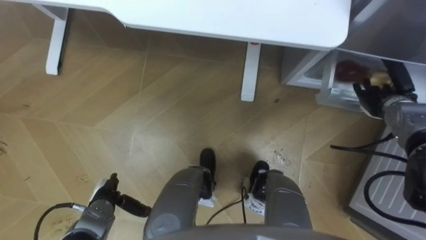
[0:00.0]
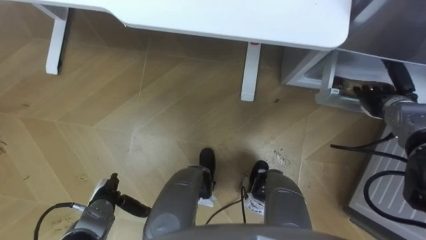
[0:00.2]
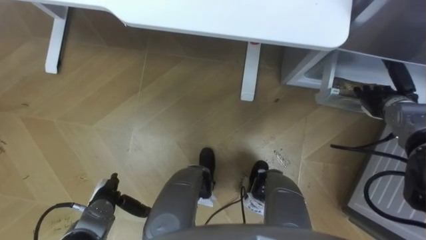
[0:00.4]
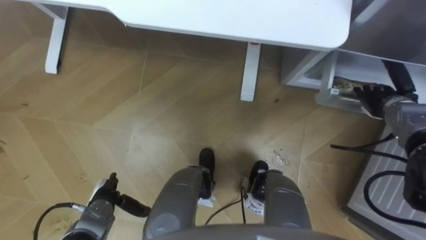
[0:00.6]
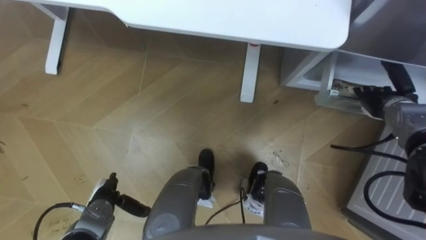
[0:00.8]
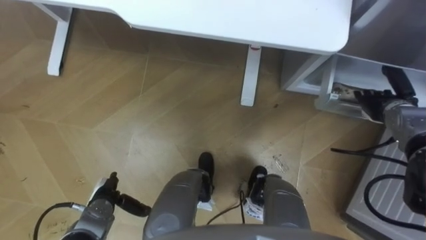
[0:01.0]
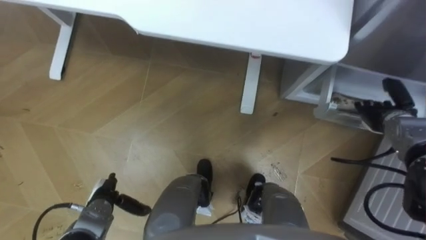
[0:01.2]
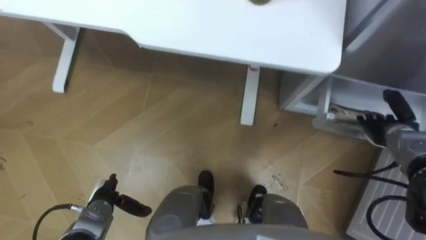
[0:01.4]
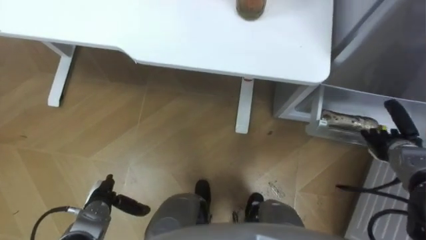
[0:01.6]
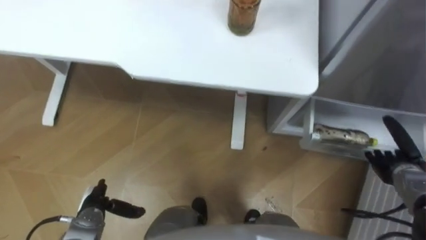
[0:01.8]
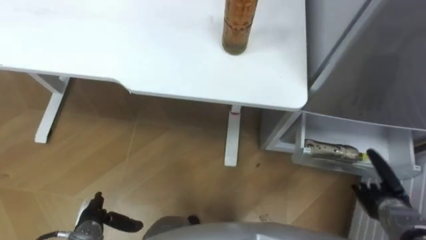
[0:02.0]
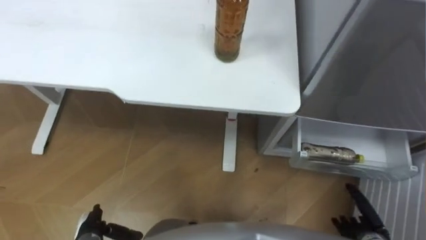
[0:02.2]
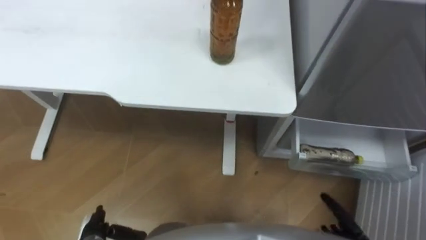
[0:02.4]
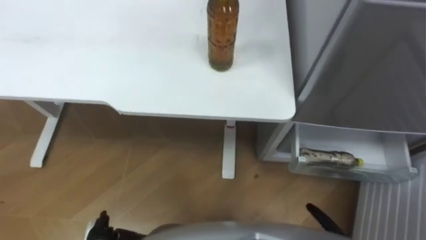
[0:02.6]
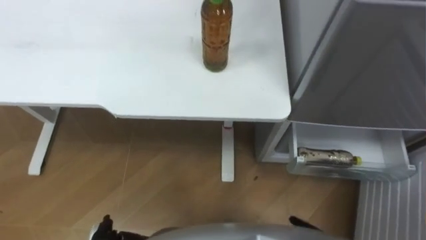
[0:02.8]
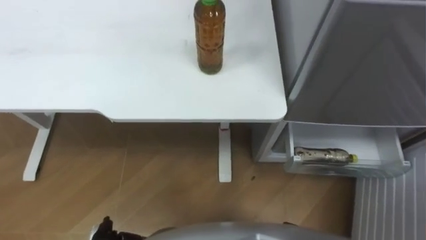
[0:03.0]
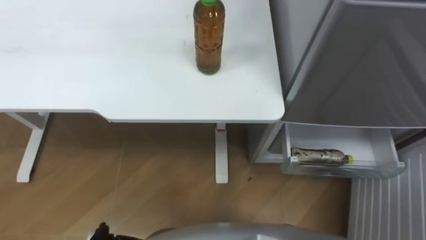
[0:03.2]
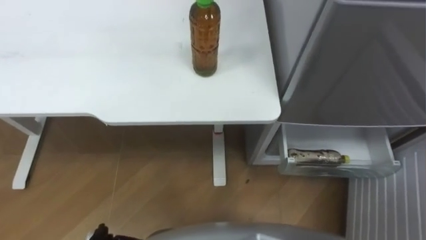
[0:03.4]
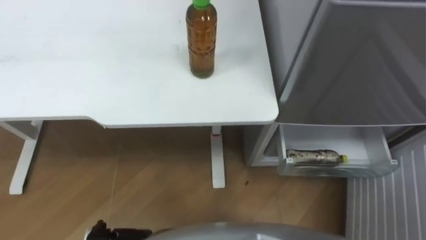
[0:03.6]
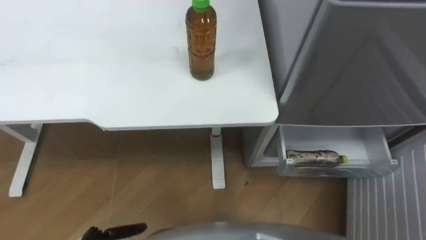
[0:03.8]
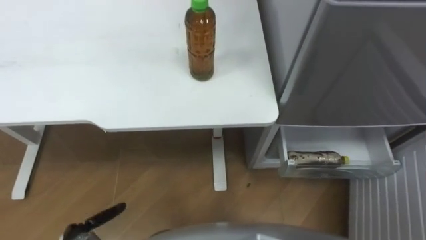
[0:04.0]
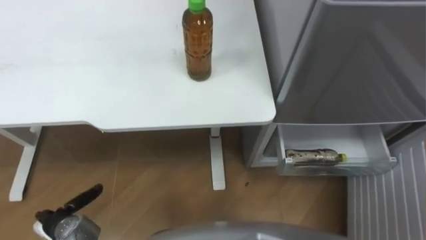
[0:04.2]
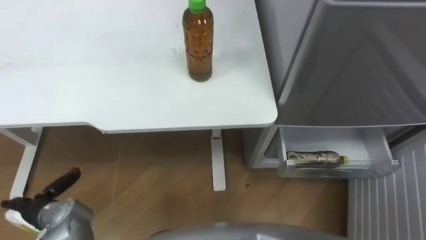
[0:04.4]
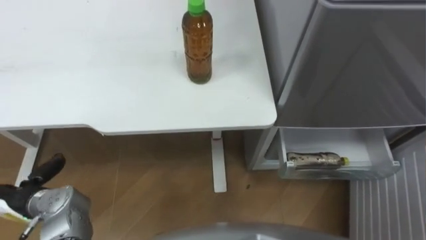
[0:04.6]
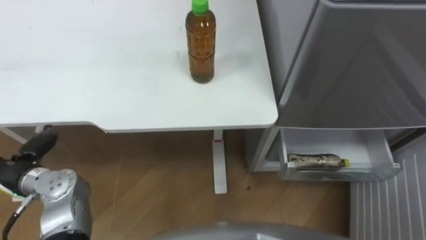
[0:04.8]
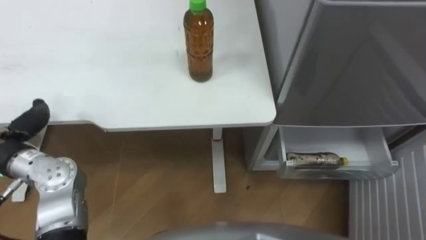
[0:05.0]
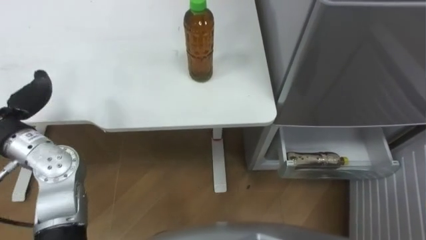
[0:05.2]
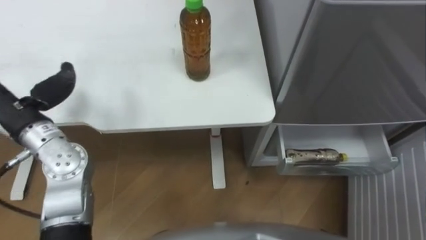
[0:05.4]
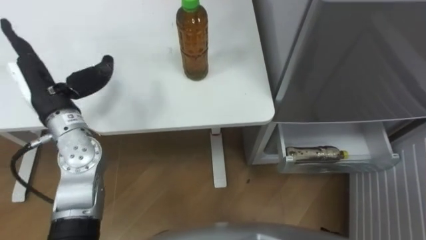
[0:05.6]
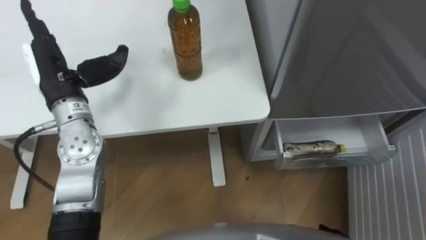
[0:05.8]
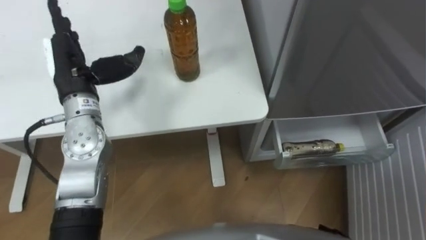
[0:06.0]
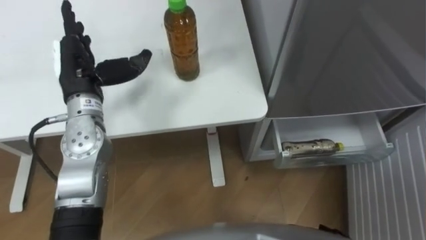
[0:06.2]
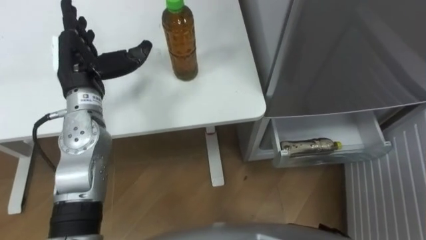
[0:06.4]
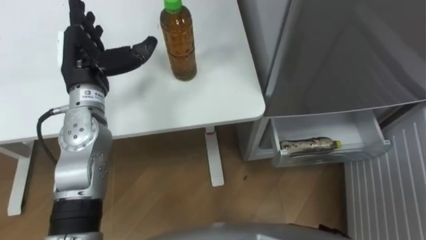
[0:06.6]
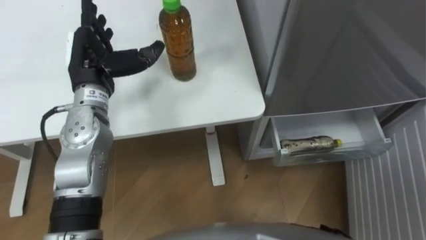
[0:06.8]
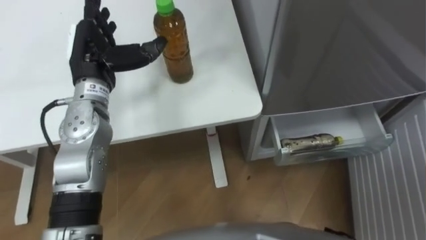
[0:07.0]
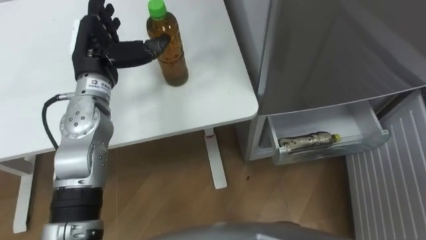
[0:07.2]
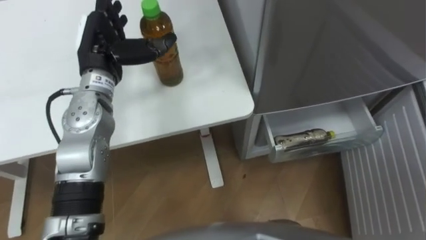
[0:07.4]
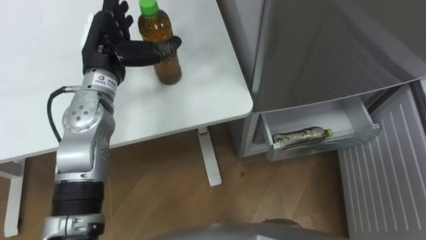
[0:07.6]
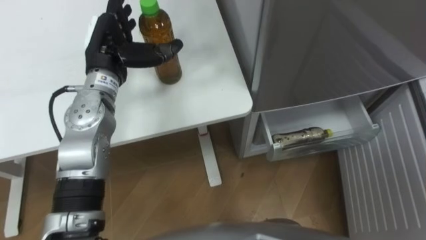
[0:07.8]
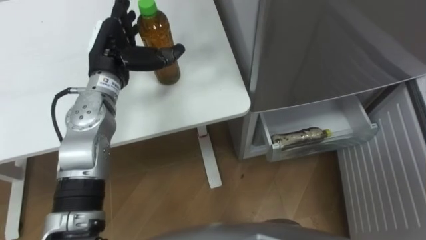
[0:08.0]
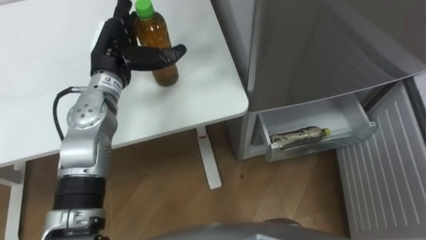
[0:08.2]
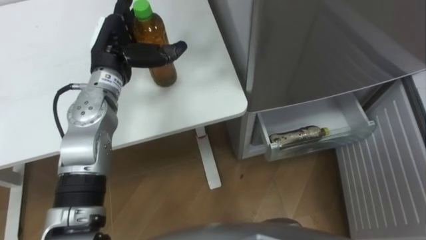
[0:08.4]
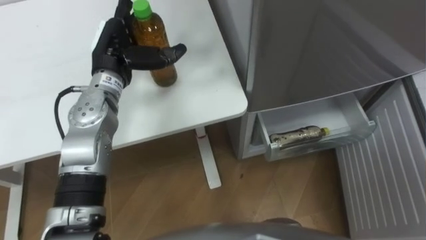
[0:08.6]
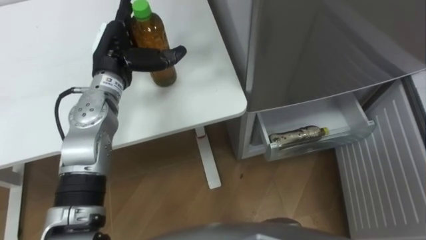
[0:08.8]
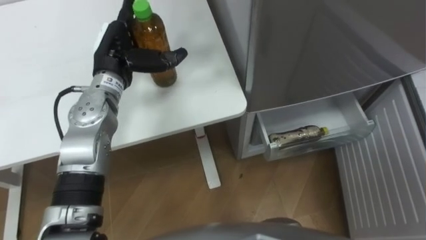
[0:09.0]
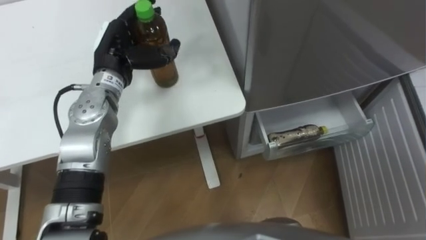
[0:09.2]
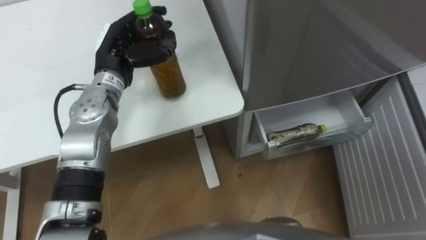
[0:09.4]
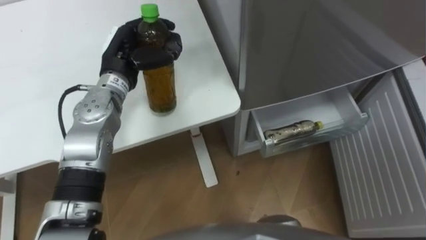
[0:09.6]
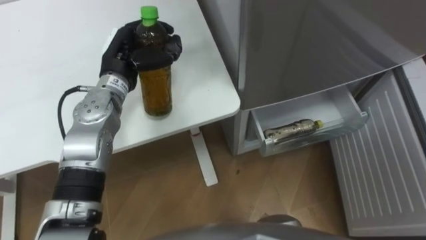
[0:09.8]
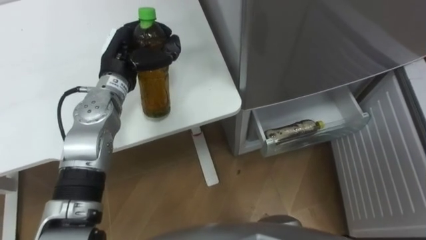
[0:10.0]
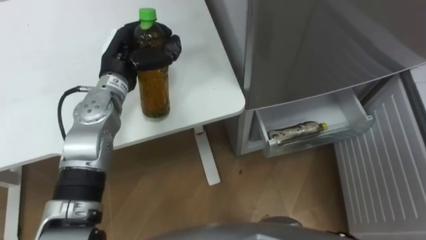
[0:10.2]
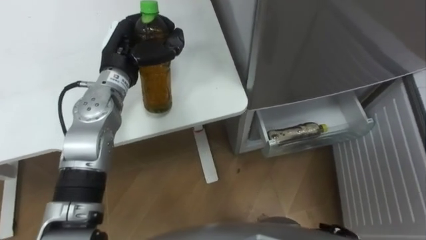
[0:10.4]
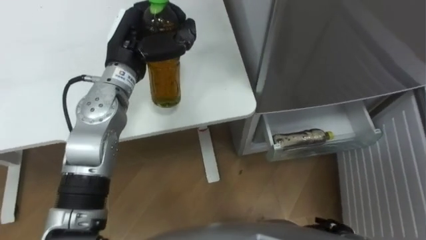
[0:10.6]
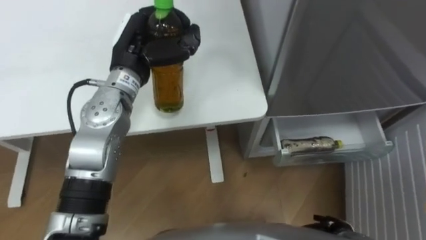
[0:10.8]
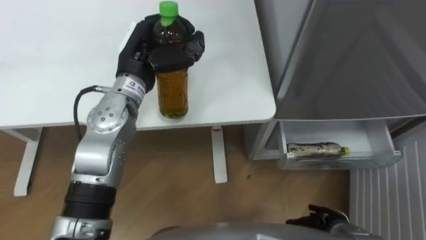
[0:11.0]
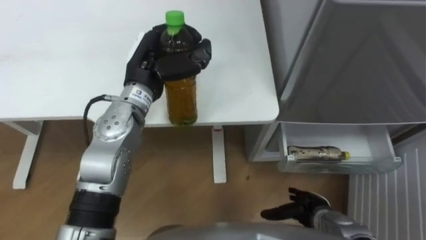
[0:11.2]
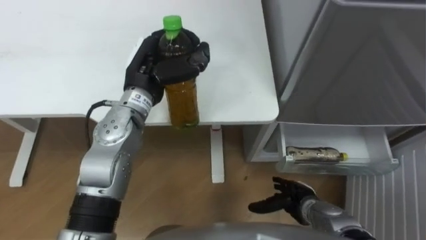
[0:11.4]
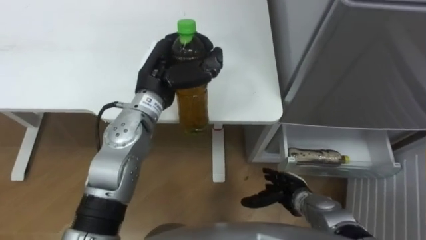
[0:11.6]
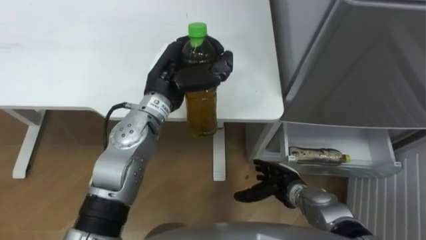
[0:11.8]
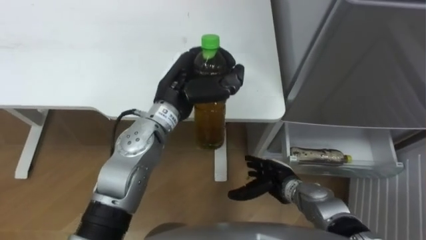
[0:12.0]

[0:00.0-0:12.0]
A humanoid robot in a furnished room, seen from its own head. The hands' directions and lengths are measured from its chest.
Task of the whole recording: Place the drink on the table on the bottom shelf of the refrigerator, then close the drawer and the refrigerator door.
0:00.0 to 0:01.6: The right hand travels backward by roughly 5 cm.
0:06.0 to 0:07.6: The left hand moves to the right, about 5 cm.
0:09.0 to 0:10.4: The left hand closes its fingers.
0:10.4 to 0:12.0: The left hand heads to the right, covering some 10 cm.

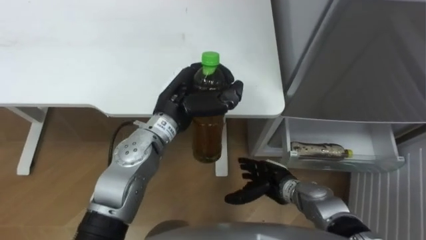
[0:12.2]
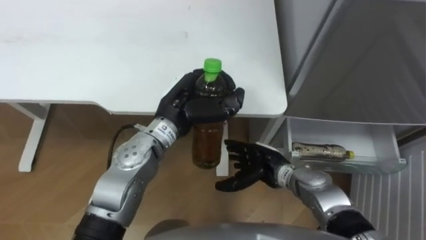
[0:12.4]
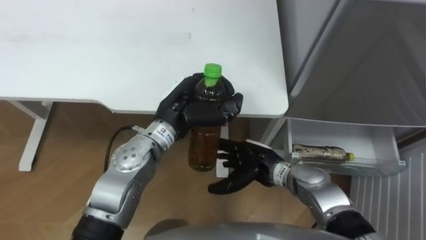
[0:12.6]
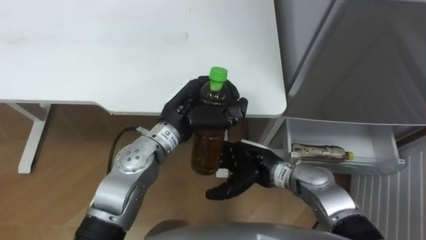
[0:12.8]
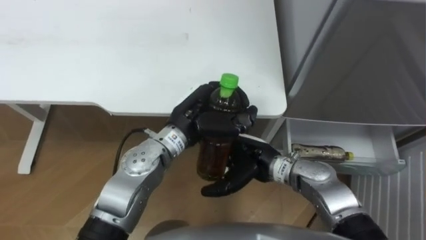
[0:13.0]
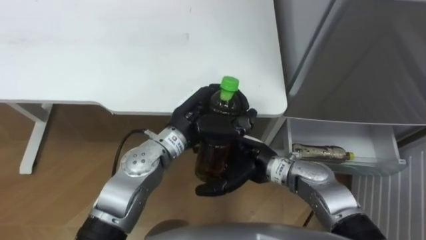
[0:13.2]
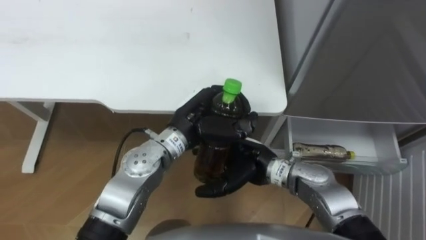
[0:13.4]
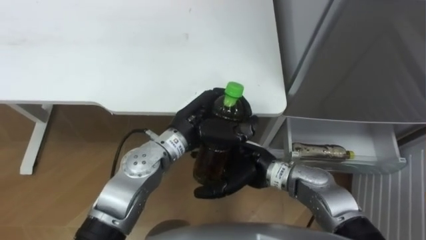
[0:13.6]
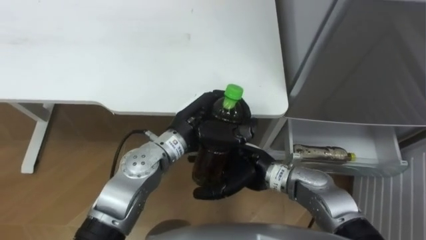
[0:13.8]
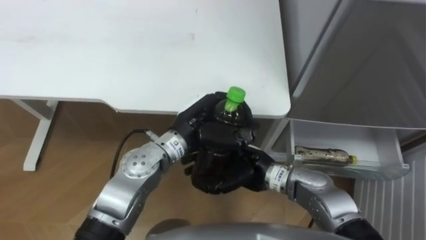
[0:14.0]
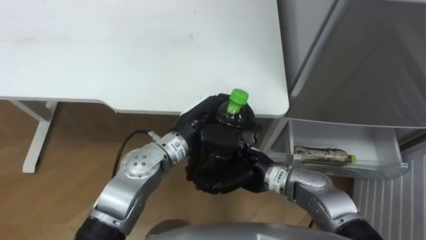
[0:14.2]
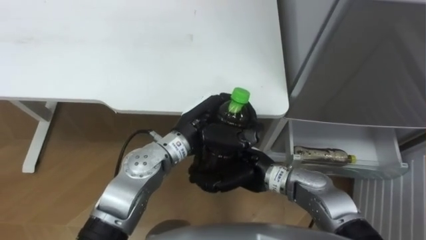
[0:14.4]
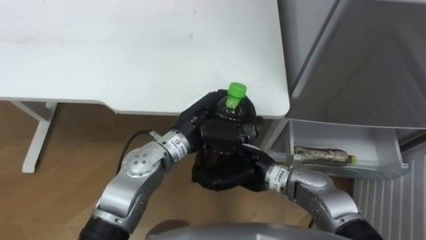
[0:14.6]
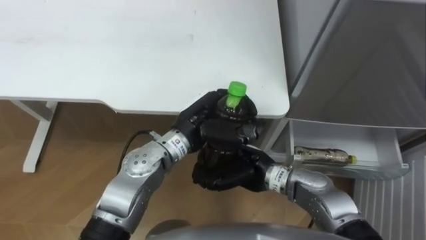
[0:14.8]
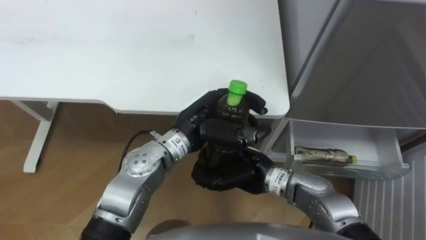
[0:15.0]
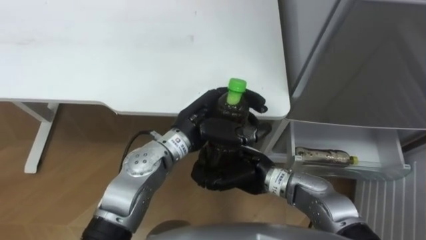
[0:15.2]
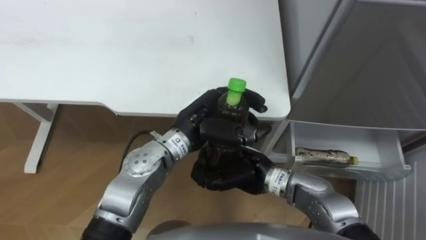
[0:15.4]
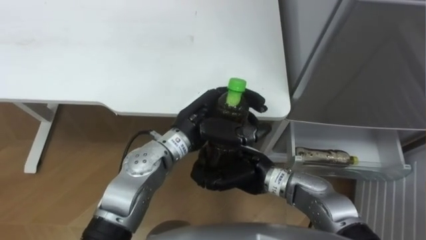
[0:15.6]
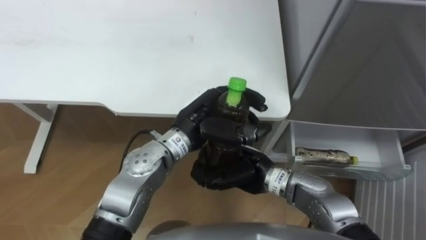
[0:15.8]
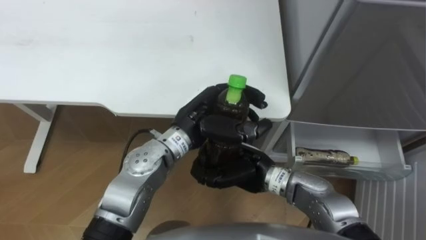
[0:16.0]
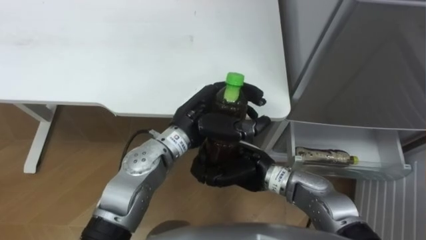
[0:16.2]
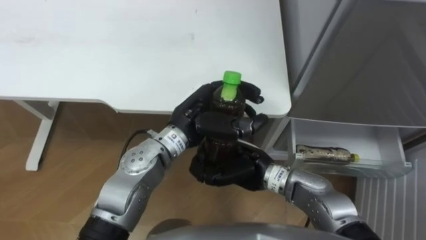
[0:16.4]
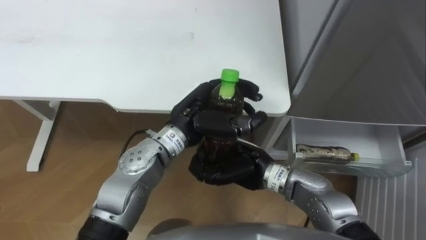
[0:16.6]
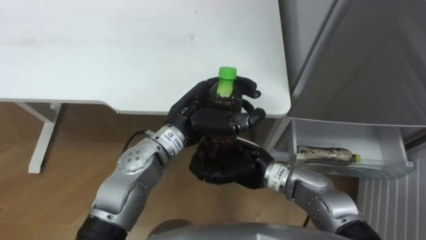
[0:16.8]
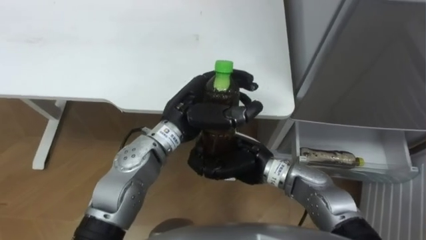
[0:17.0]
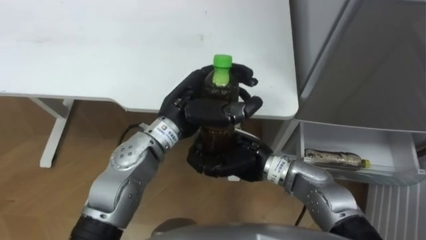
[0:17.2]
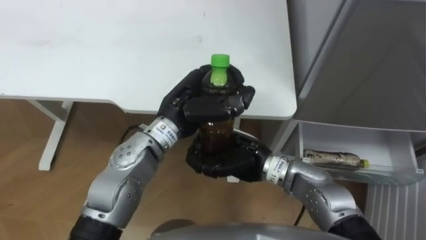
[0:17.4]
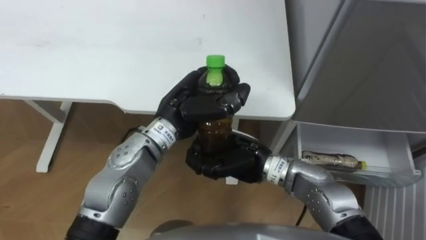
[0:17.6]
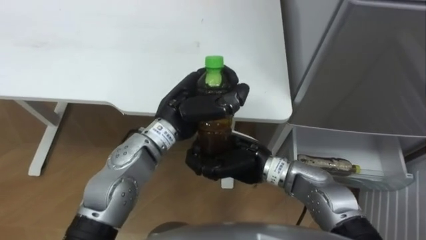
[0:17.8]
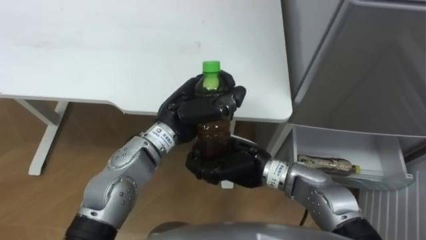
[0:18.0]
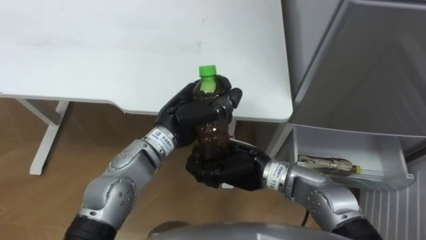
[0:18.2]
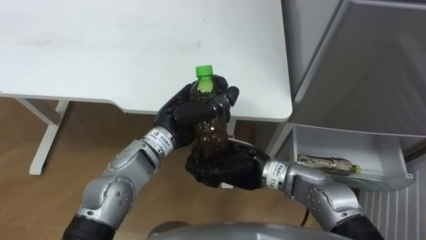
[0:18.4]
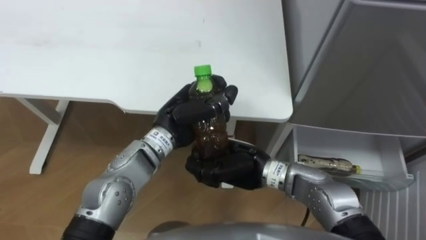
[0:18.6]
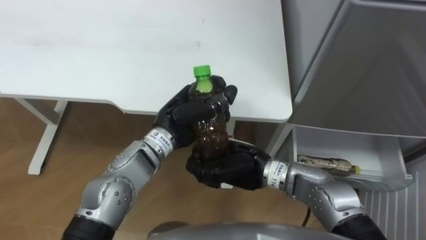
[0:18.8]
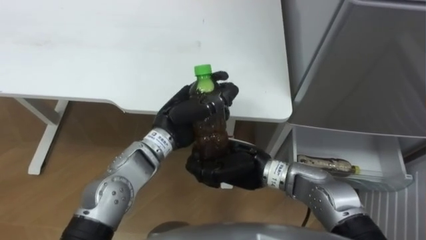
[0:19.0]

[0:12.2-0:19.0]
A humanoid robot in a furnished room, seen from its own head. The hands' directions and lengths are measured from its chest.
Task of the whole recording: Place the drink on the table on the bottom shelf of the refrigerator, then close the drawer and the refrigerator door.
0:12.2 to 0:13.6: The right hand shifts approximately 15 cm upward and to the left.
0:13.6 to 0:15.0: The right hand closes.
0:15.0 to 0:16.2: Both hands stay put.
